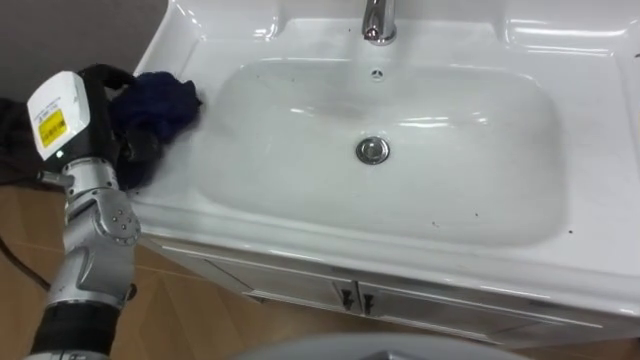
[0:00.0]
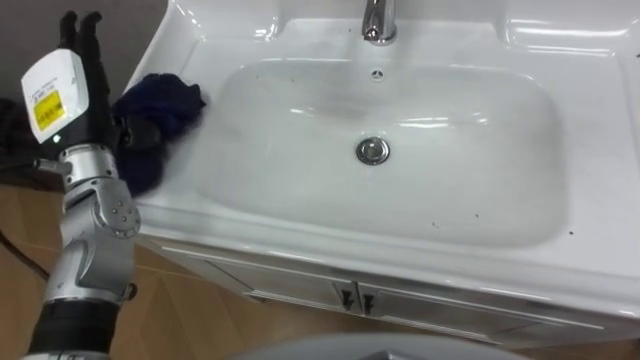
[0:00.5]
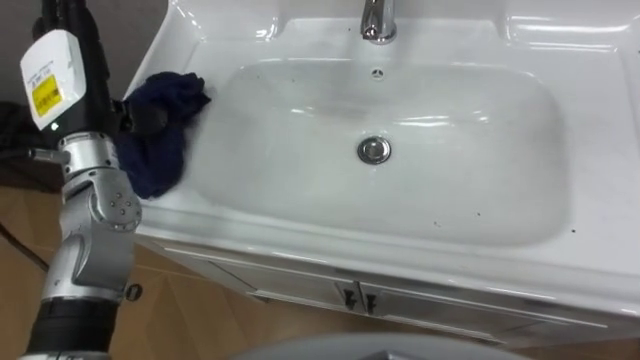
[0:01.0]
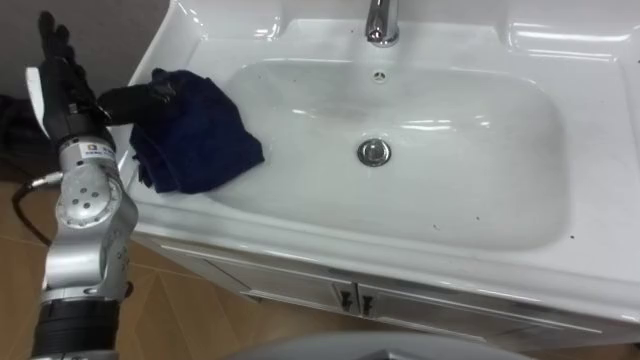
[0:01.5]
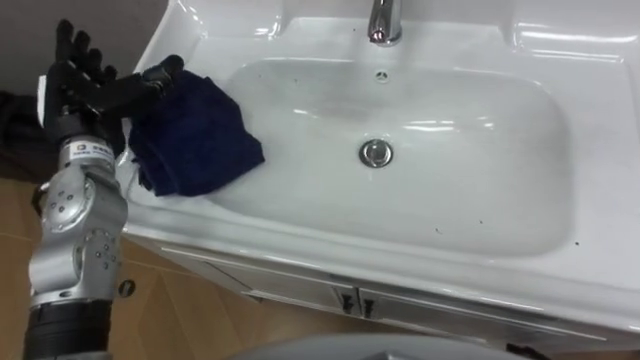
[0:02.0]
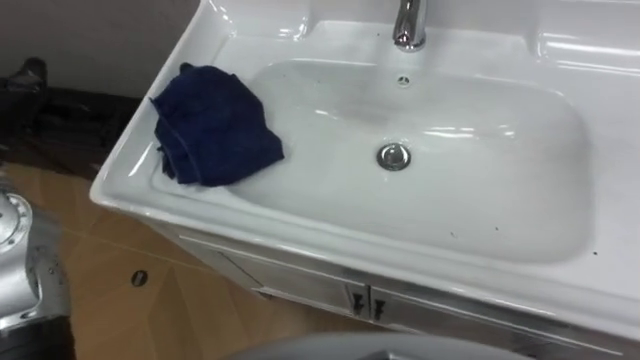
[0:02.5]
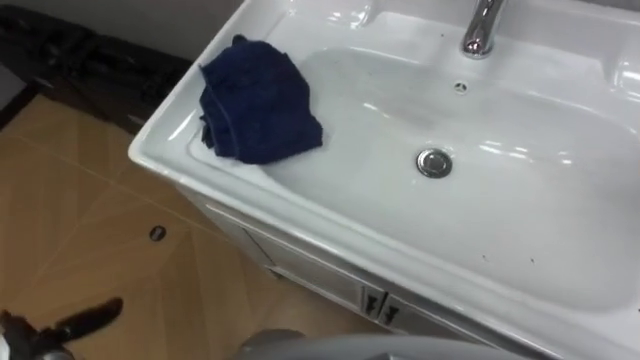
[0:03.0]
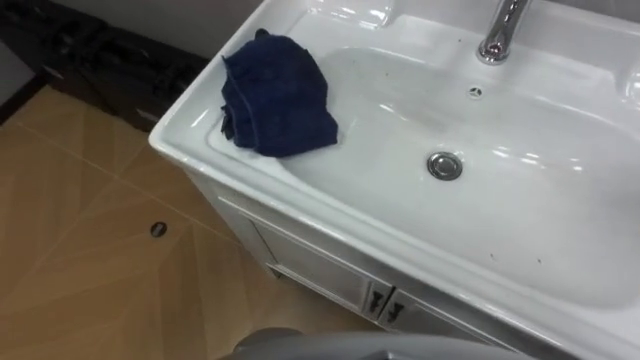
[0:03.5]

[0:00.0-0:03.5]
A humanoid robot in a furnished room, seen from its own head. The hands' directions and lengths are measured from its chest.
Task of the whole recording: Use the cloth on the right to wipe away the black stain in the sink.
0:00.0 to 0:02.0: The left hand opens.

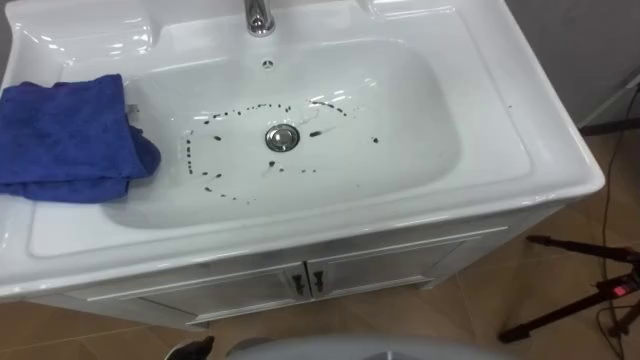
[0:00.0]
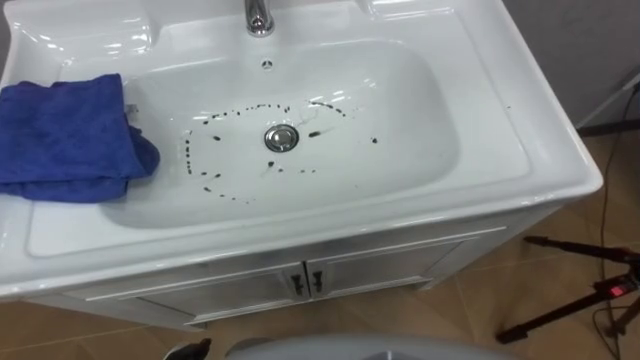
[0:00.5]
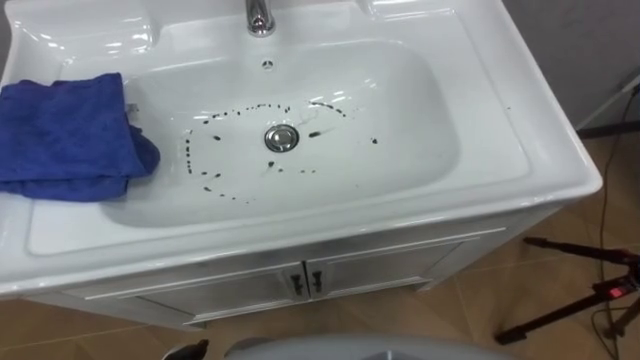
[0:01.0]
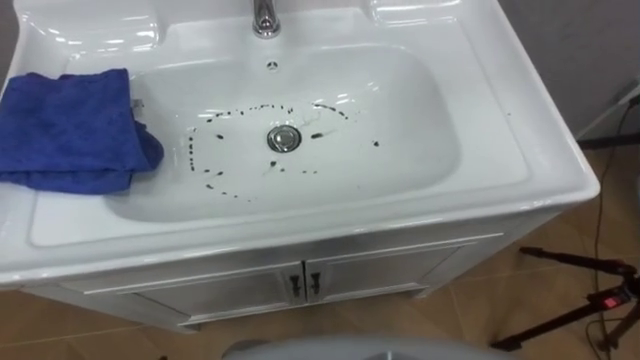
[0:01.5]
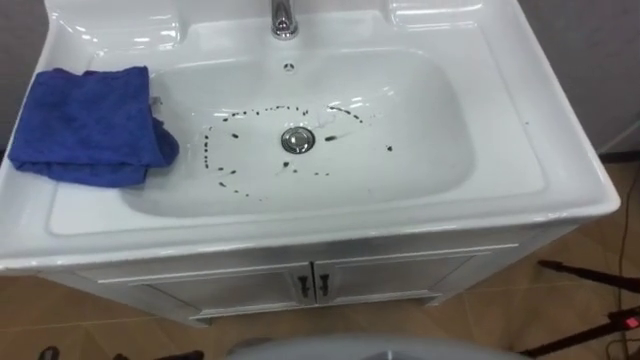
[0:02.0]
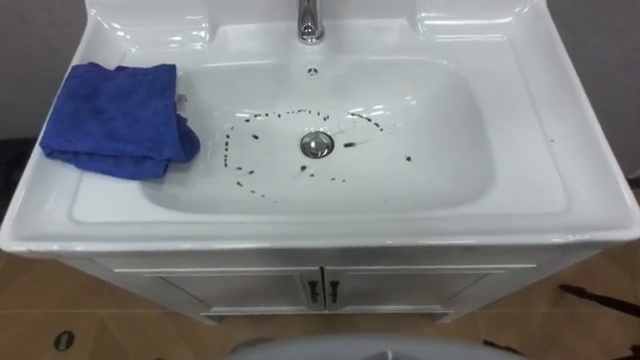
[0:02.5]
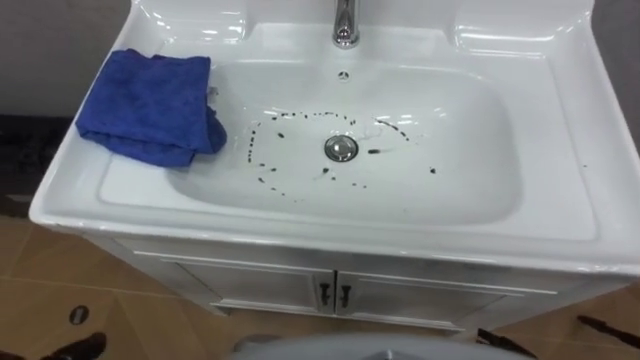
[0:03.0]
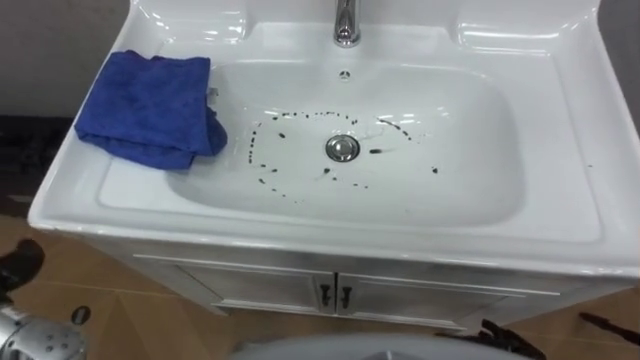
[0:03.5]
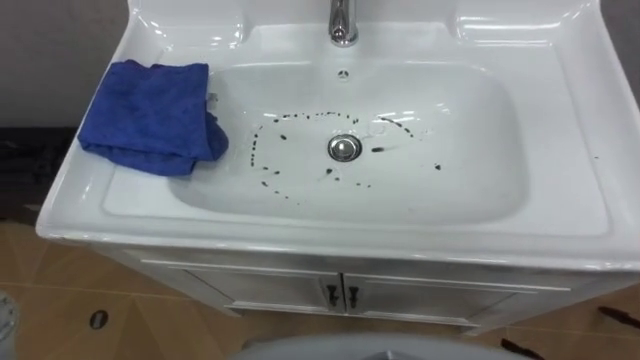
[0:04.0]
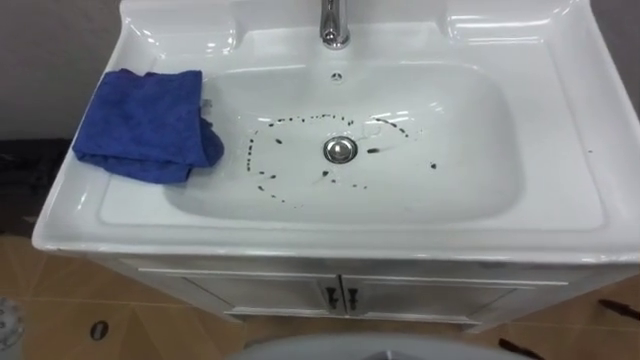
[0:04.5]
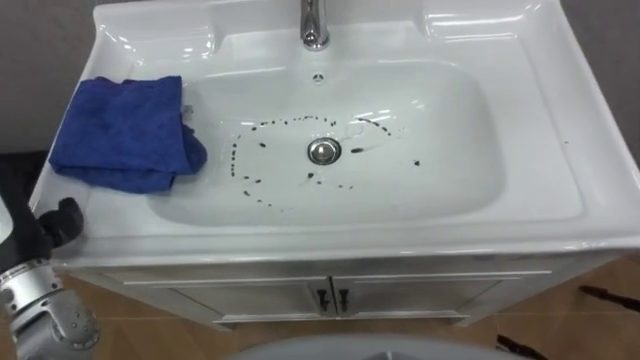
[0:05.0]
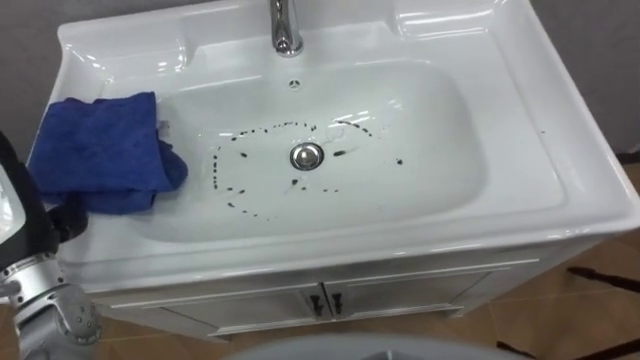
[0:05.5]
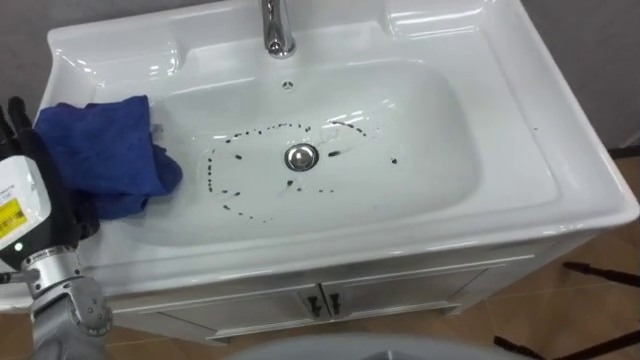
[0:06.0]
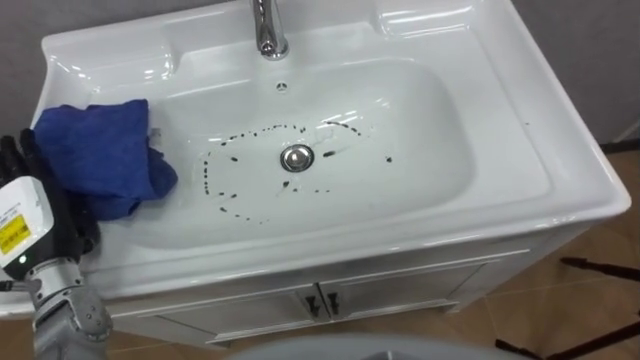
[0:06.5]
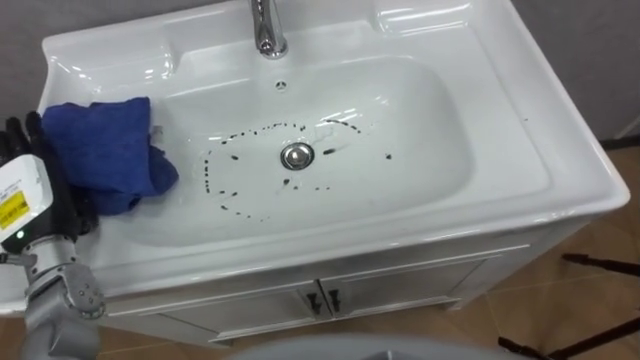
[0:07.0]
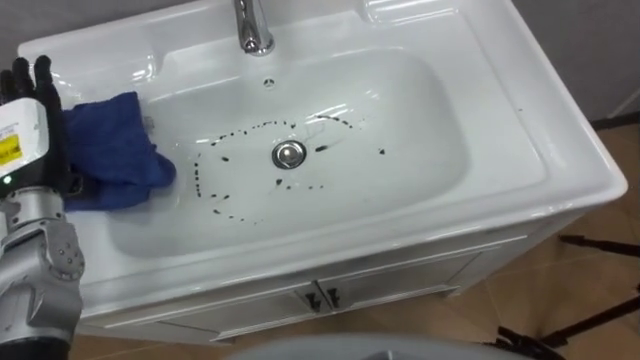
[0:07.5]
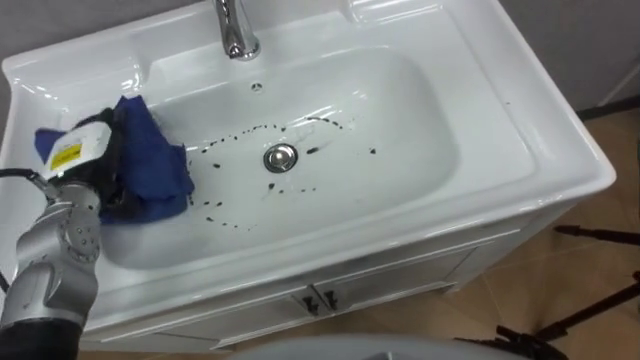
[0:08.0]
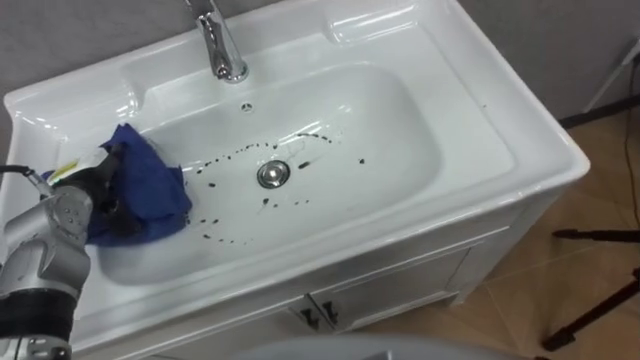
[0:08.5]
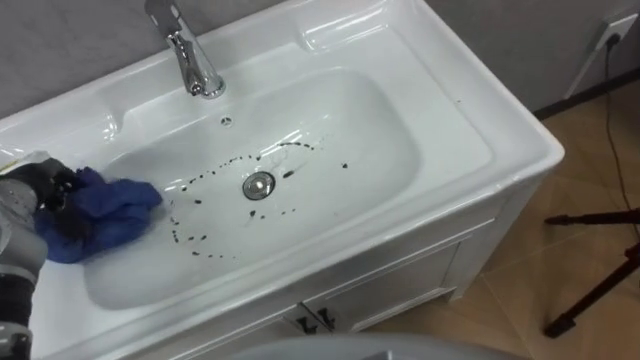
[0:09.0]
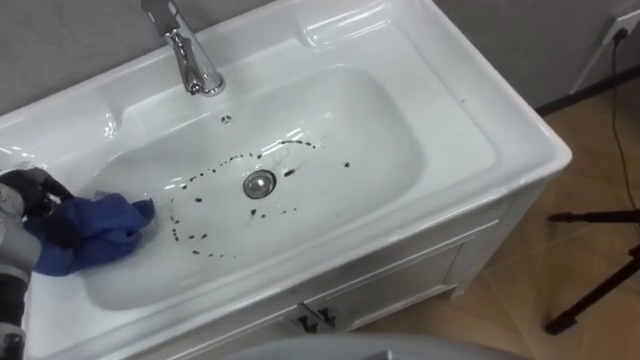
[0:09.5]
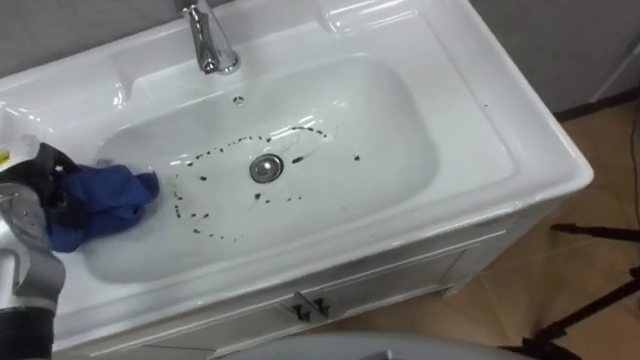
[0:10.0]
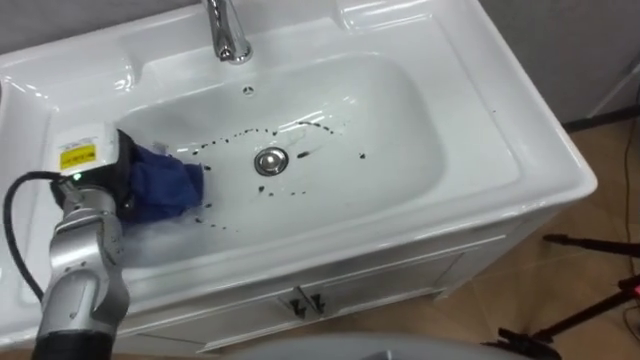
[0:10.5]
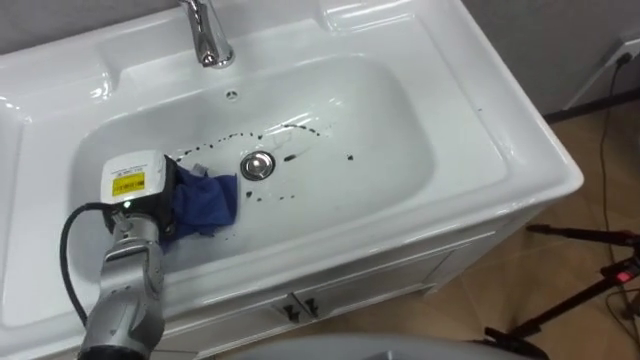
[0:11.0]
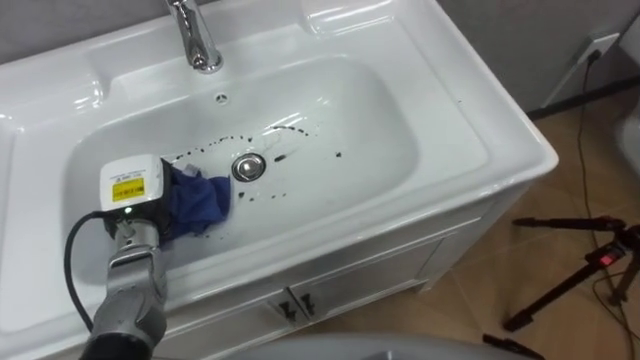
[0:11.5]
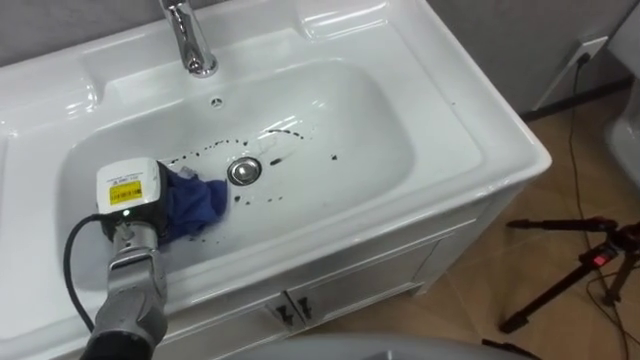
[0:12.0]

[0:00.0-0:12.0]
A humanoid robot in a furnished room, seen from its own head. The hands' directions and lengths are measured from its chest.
Task of the whole recording: Use the cloth on the right to wipe away the black stain in the sink.
0:06.0 to 0:08.0: The left hand goes roughly 5 cm forward.
0:10.0 to 0:12.0: The left hand travels to the right and downward by about 15 cm.

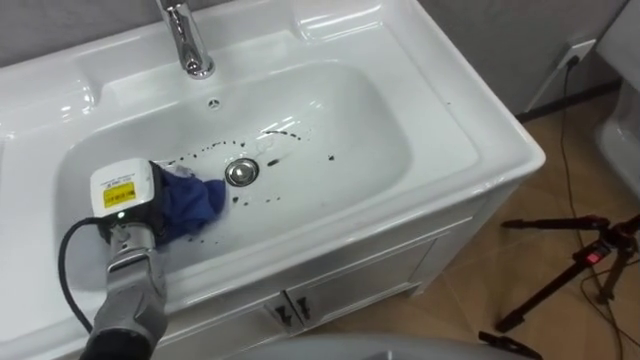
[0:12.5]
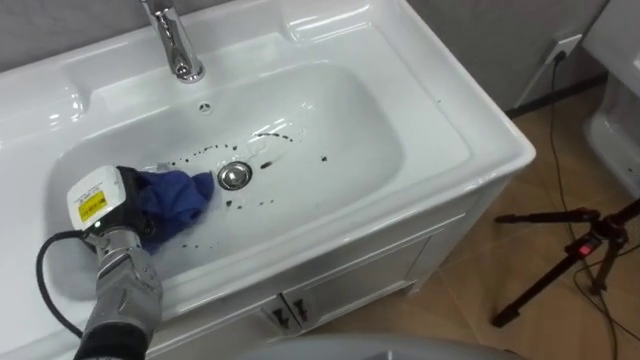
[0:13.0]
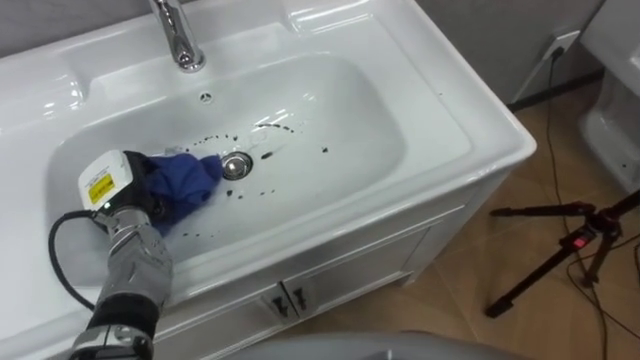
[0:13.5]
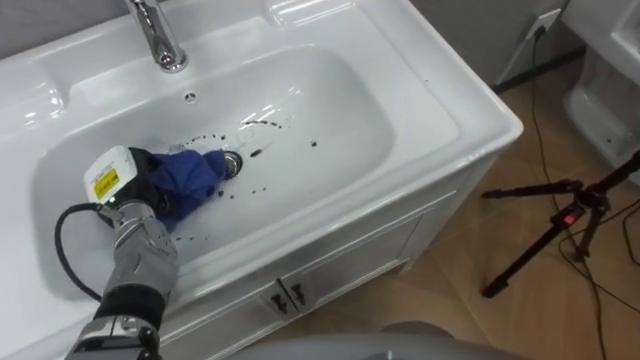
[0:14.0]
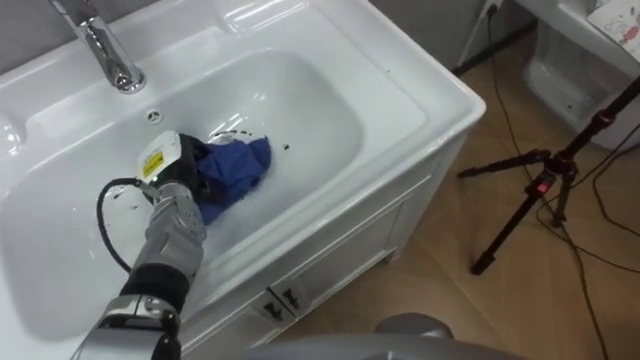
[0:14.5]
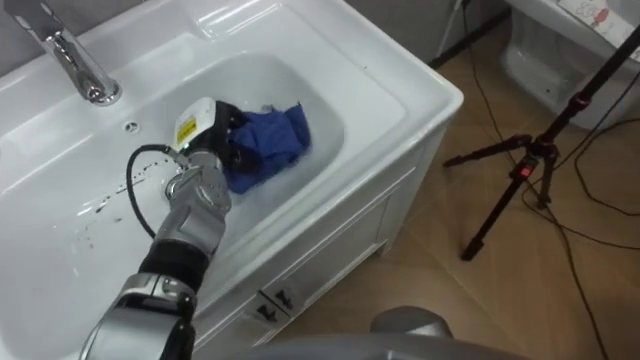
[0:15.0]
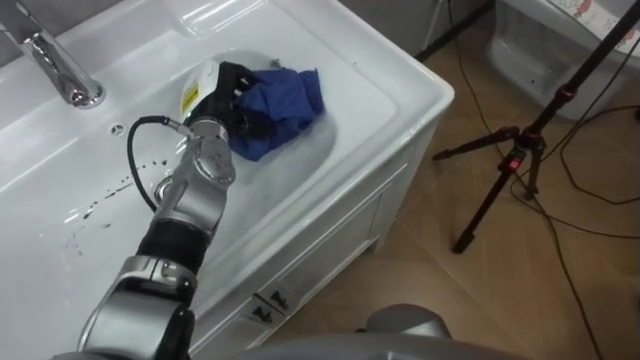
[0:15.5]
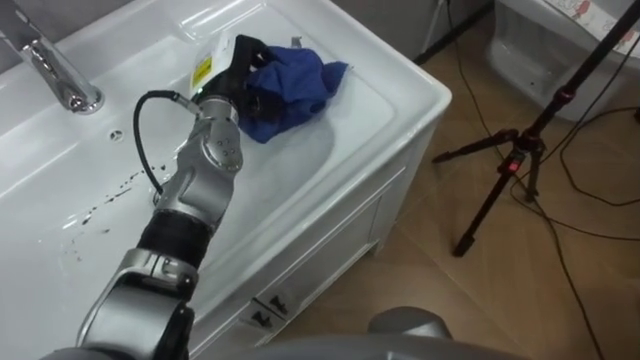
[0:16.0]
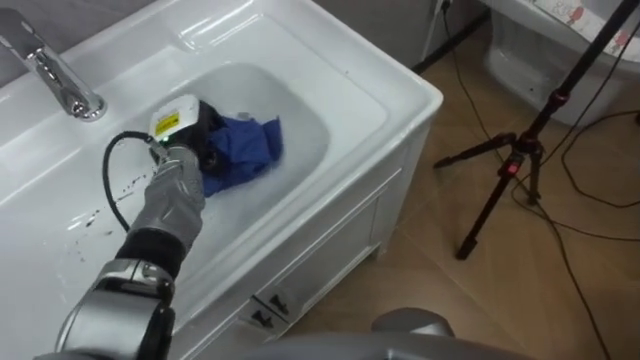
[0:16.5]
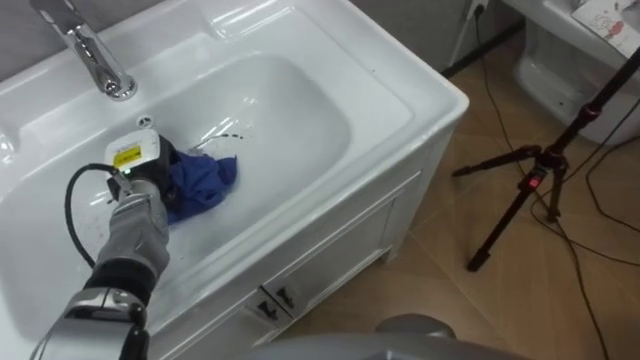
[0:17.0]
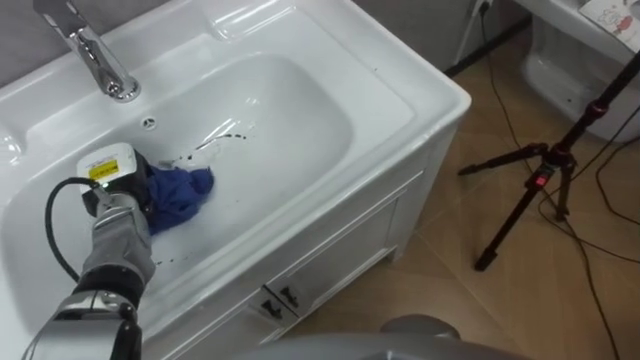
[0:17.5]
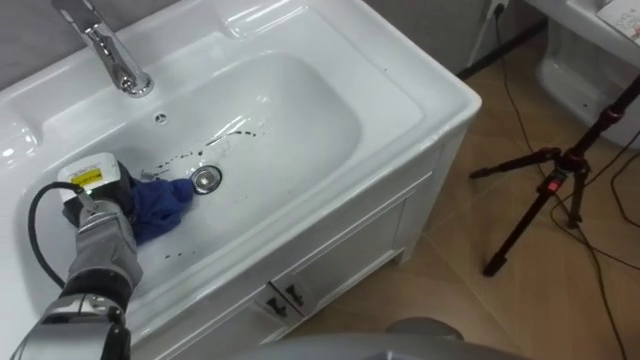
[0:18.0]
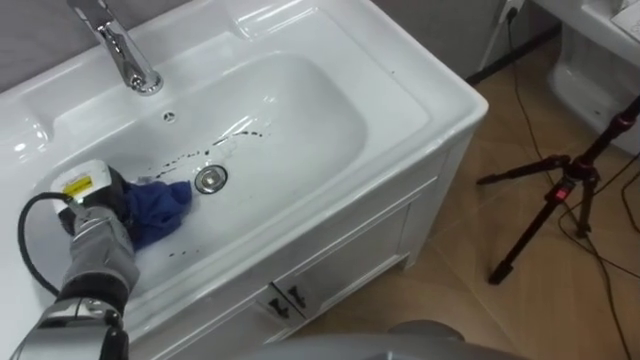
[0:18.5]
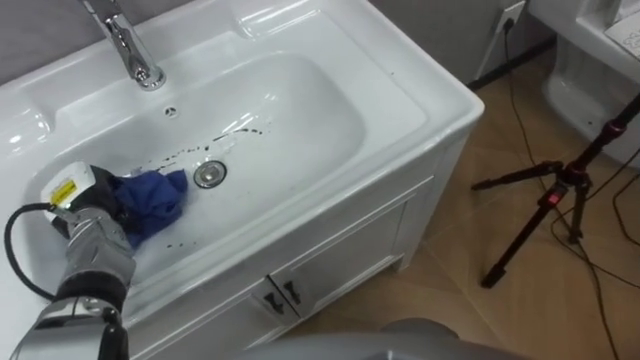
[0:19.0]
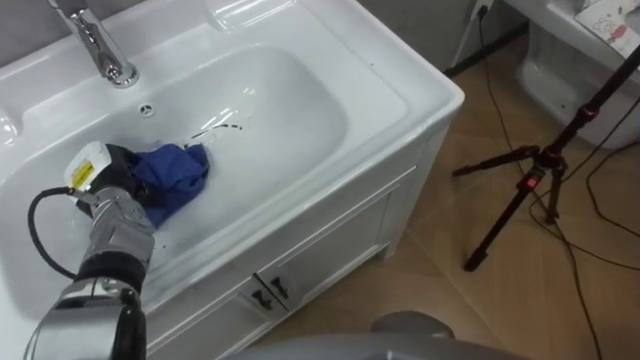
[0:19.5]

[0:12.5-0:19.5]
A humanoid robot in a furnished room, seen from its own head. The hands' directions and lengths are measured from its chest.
Task of the whole recording: Use the cloth on the right to wipe away the black stain in the sink.
0:12.5 to 0:14.5: The left hand travels forward by about 5 cm.
0:14.5 to 0:16.0: The left hand heads upward, to the right and forward, covering about 15 cm.
0:16.0 to 0:17.5: The left hand is displaced to the left, downward and backward by some 20 cm.
